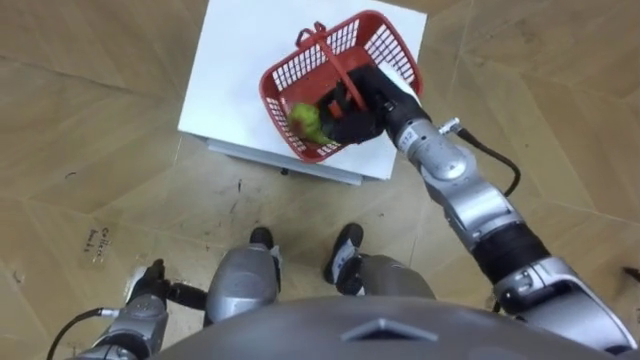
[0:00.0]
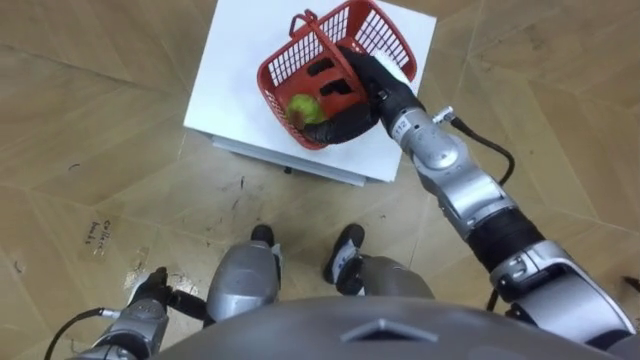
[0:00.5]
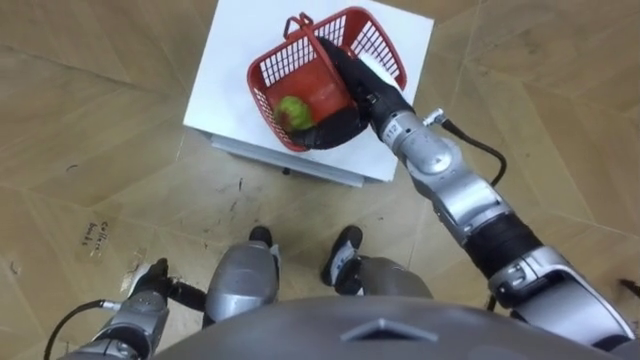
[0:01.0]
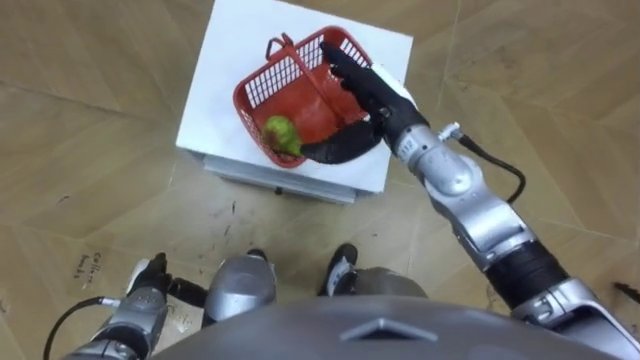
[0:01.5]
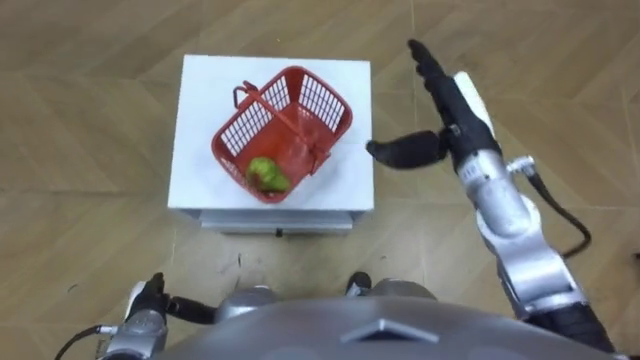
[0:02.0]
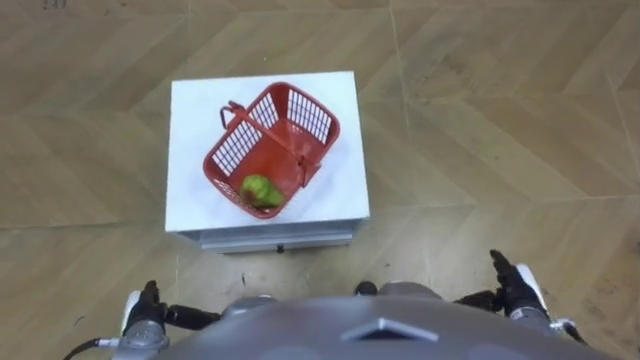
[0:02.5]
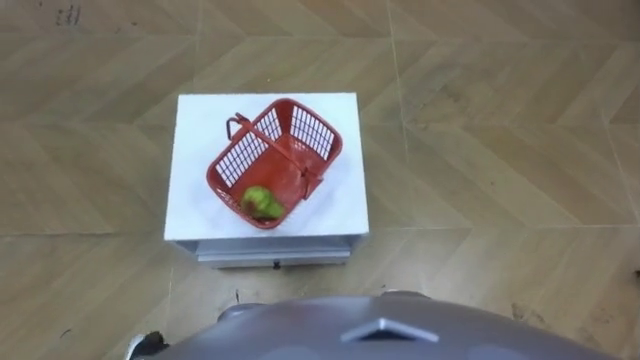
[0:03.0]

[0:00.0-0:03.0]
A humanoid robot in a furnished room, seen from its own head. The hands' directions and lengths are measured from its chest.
Task of the whole recording: Pick up the fruit basket from the floor and place it on the cabinet.
0:00.0 to 0:01.5: The right hand opens up.
0:01.5 to 0:03.0: The left hand is displaced backward by approximately 10 cm; the right hand moves backward, downward and to the right, approximately 40 cm.

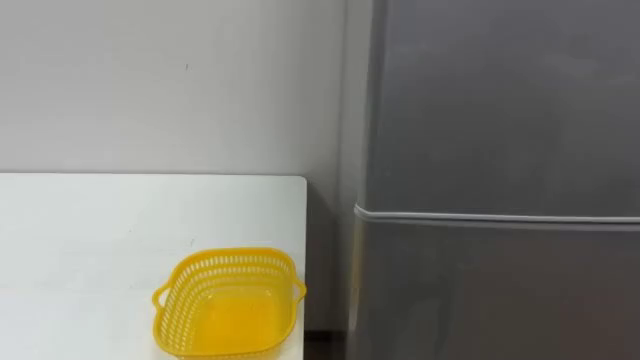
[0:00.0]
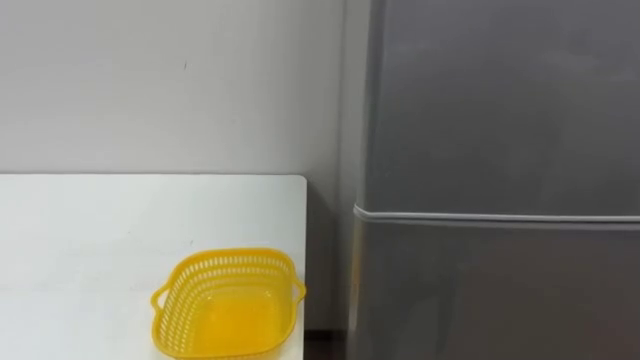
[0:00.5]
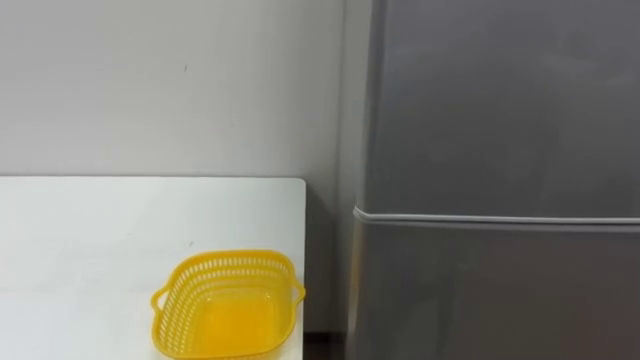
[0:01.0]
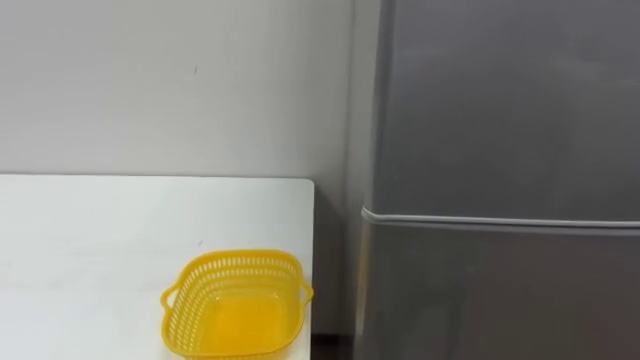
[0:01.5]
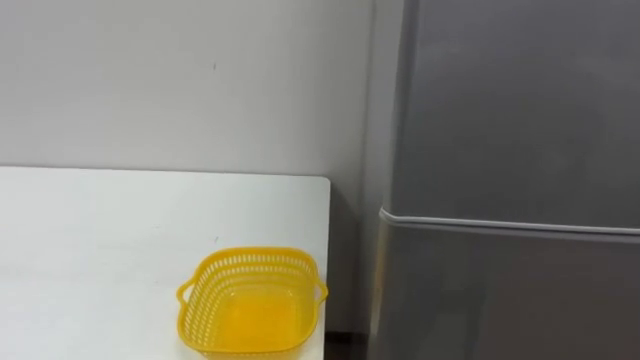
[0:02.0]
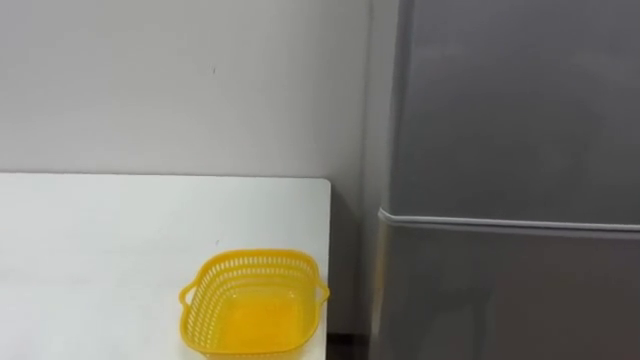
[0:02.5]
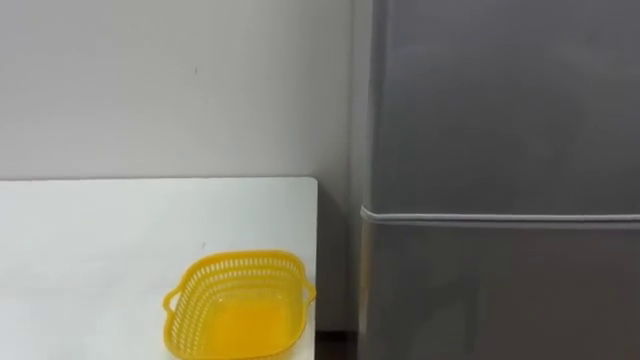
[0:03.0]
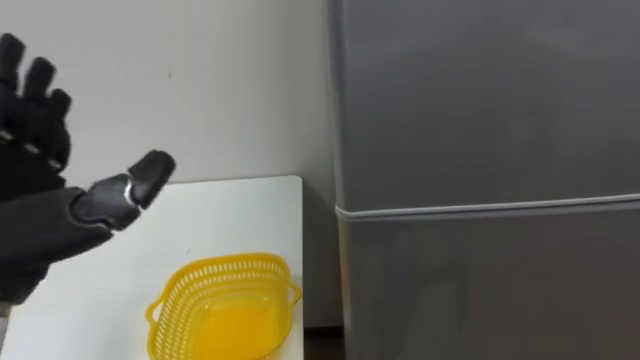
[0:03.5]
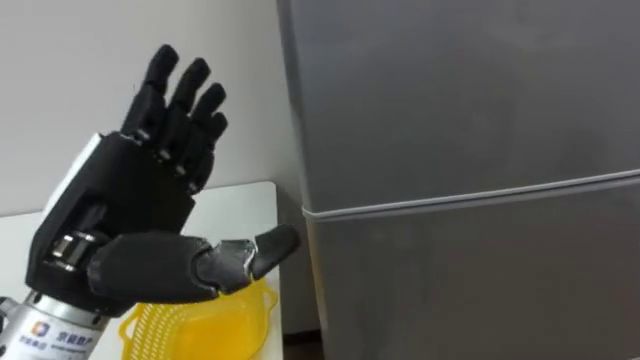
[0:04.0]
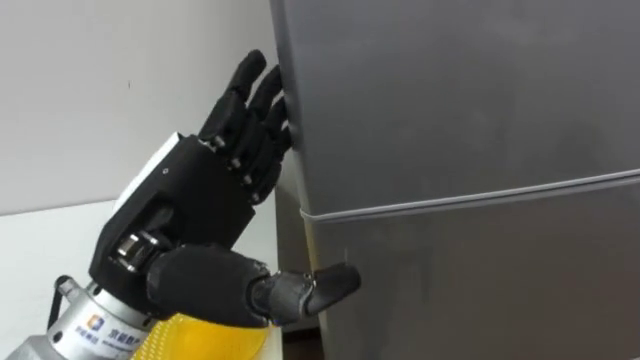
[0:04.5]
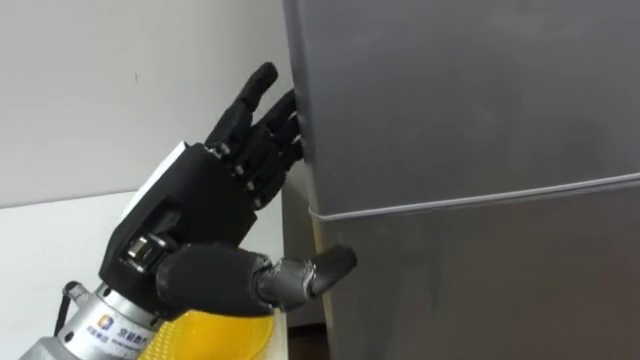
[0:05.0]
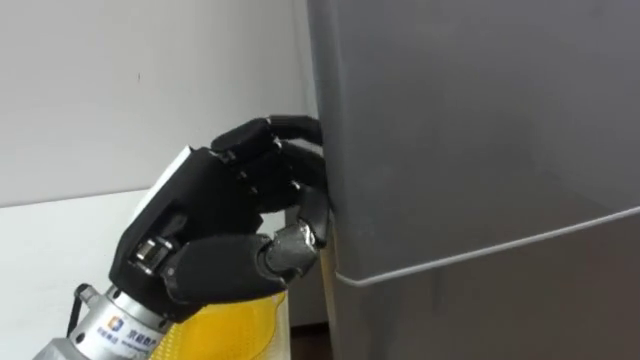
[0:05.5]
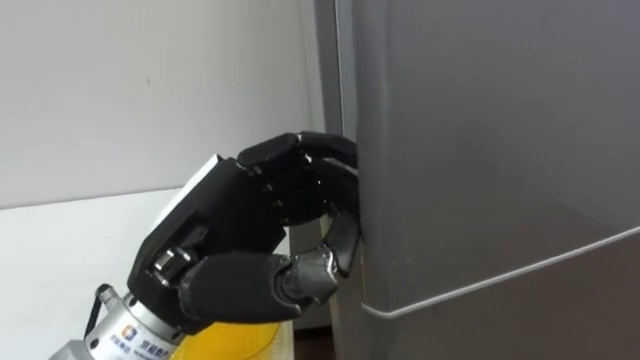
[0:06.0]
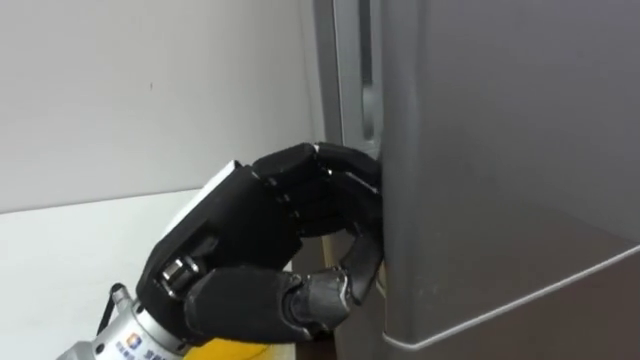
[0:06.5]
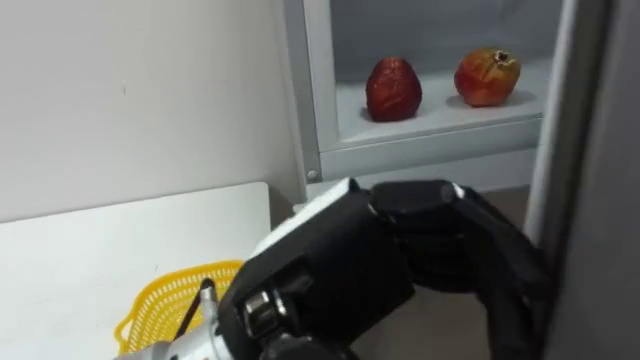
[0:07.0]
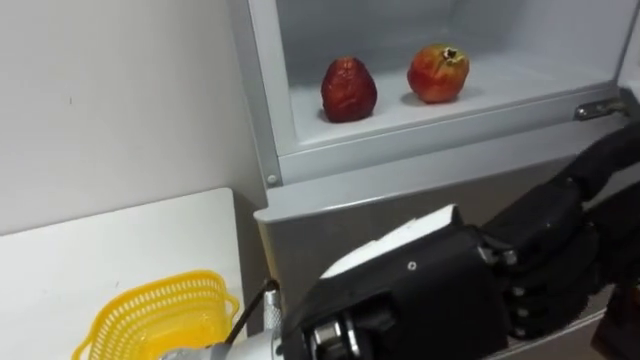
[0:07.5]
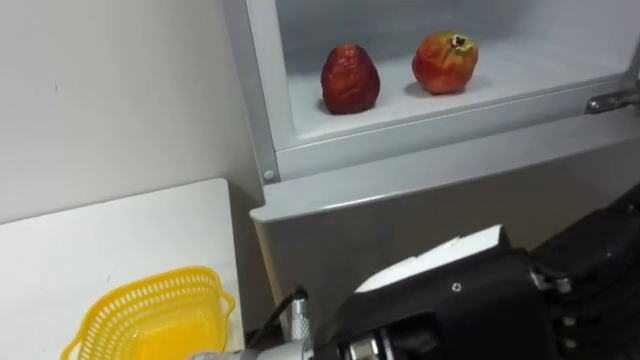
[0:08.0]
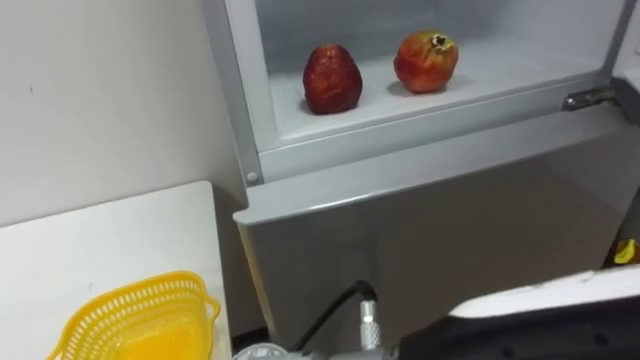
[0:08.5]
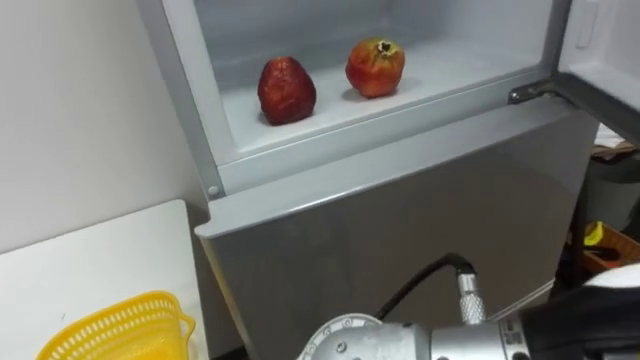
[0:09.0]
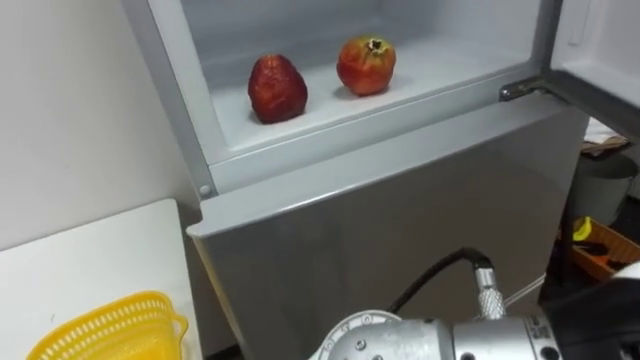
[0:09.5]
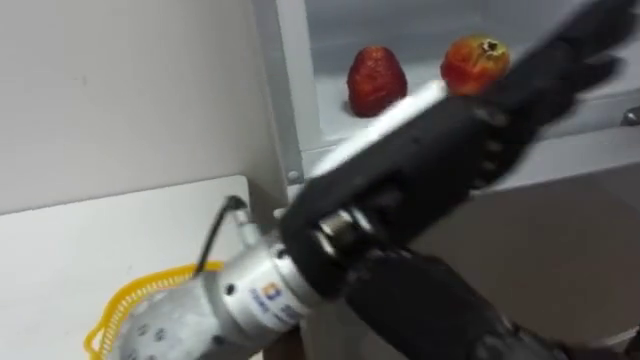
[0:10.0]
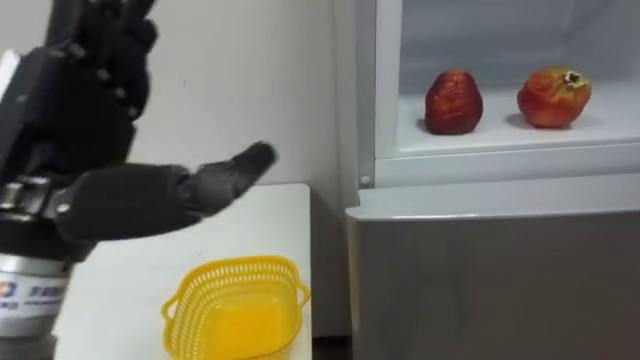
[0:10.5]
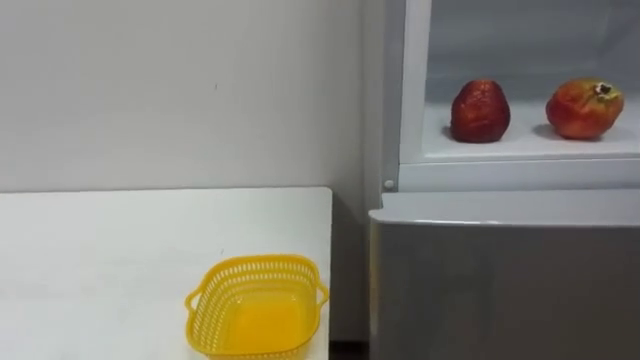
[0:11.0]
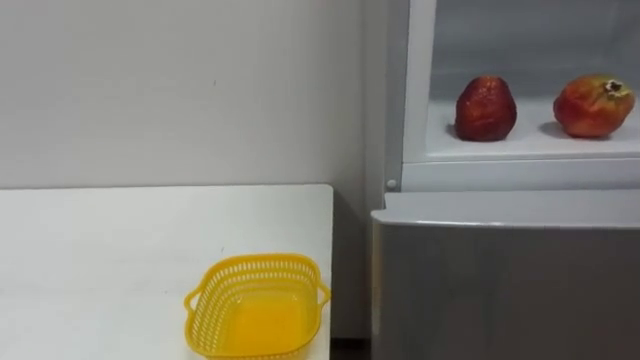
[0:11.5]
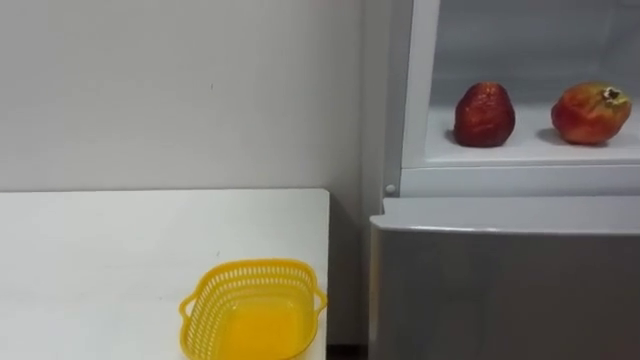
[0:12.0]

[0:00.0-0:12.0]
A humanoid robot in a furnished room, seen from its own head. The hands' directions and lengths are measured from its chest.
Task of the whole recording: Open the refrigerator door, take out the apple and the pomegranate, place them in the fruit basket on the left, and close the refrigerator door.
0:04.0 to 0:06.0: The left hand shifts approximately 5 cm to the right, and closes up.
0:06.0 to 0:08.0: The left hand moves to the right and backward, some 15 cm, and opens up.

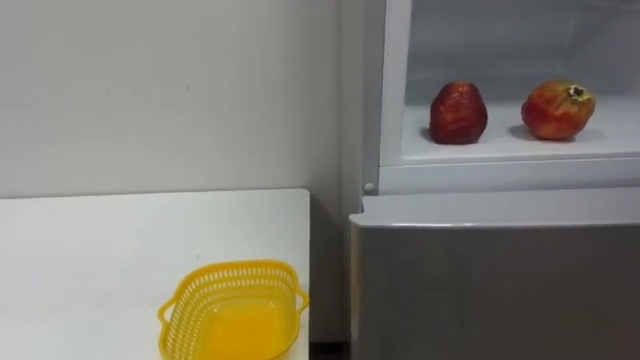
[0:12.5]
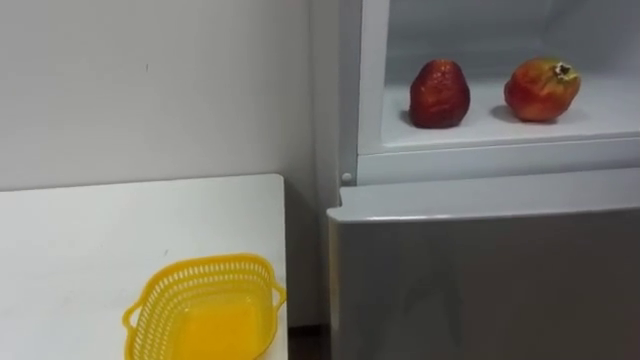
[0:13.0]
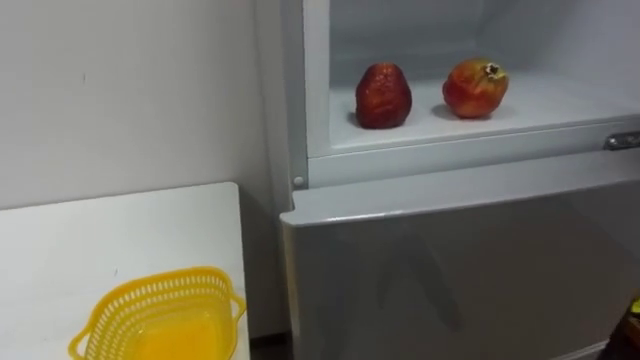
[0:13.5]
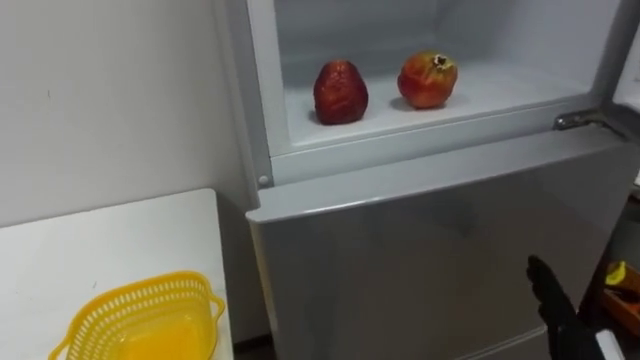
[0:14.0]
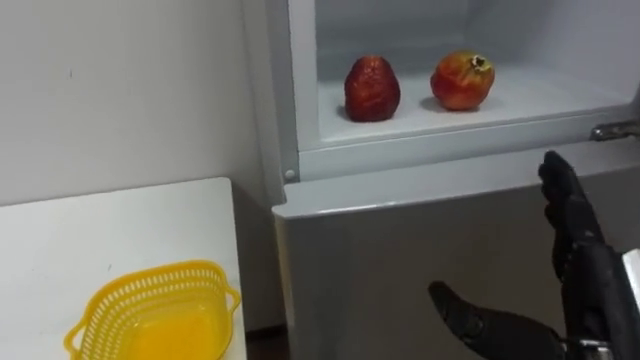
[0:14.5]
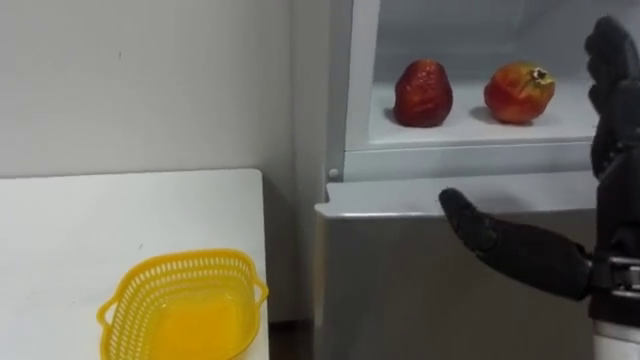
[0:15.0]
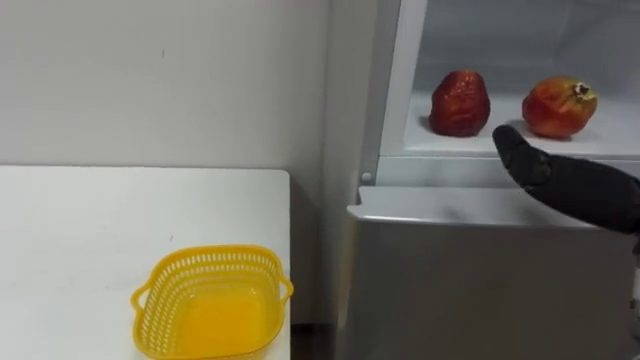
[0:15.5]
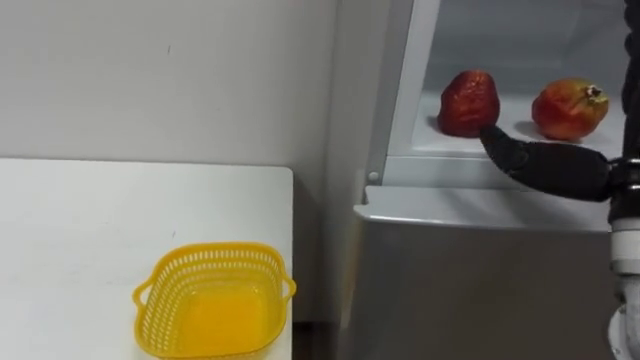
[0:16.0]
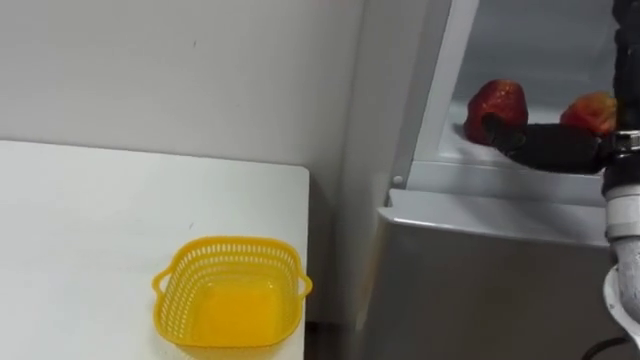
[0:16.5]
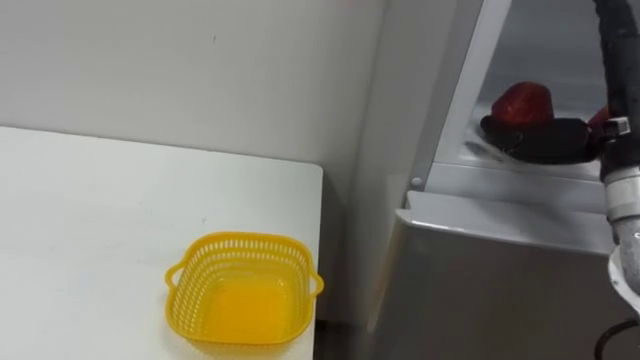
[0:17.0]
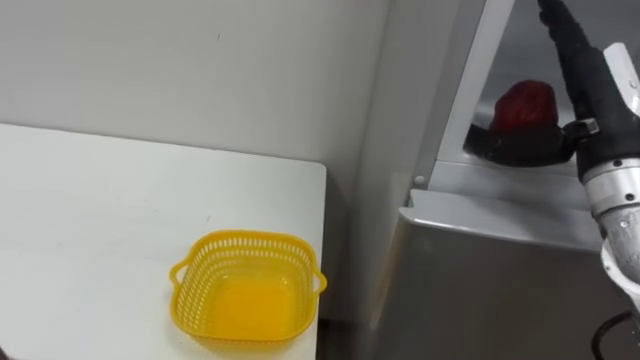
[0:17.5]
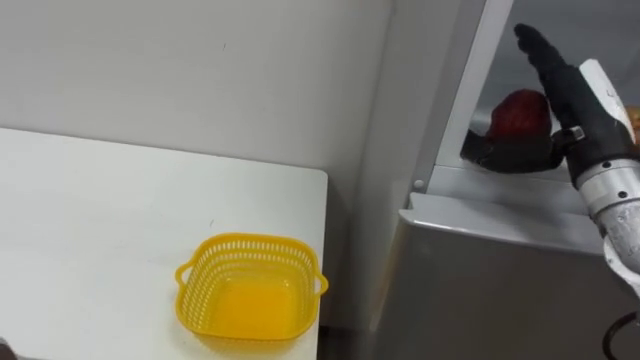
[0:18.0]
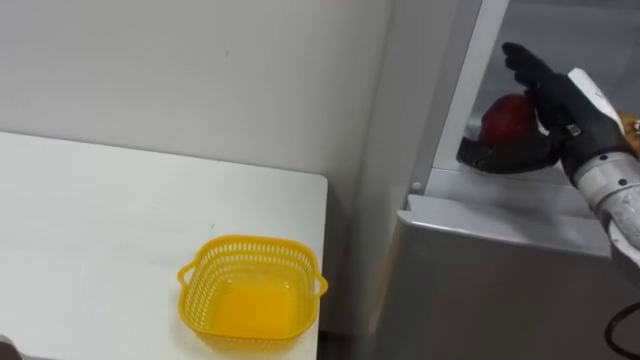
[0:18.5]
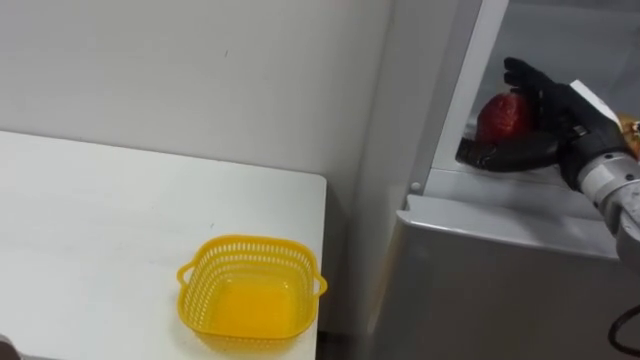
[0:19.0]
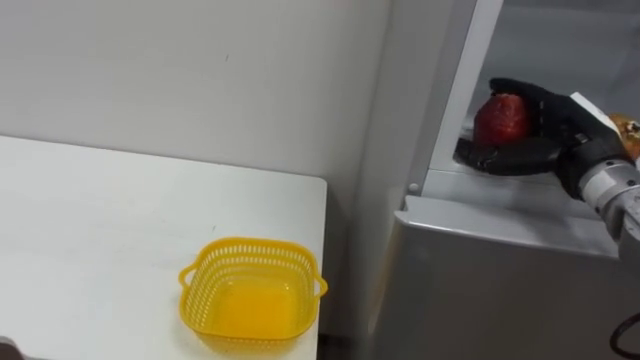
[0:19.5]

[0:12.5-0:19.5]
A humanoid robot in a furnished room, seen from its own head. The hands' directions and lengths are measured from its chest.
Task of the whole recording: Open the refrigerator door, take out the apple and the pomegranate, place them in the fruit basket on the left, and close the refrigerator door.
0:16.0 to 0:17.5: The right hand heads forward, covering about 5 cm.
0:17.5 to 0:19.5: The right hand is displaced downward and forward by approximately 5 cm.
